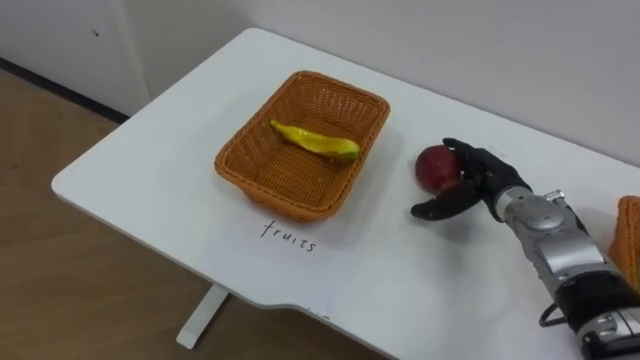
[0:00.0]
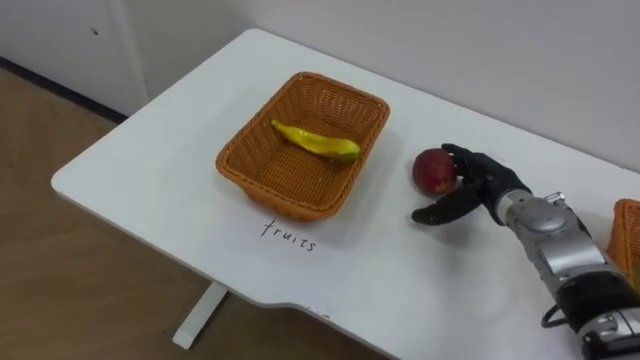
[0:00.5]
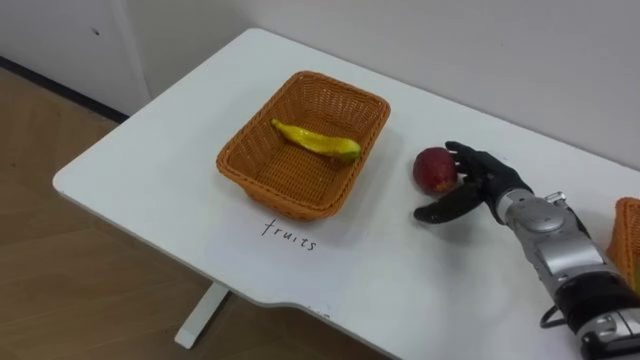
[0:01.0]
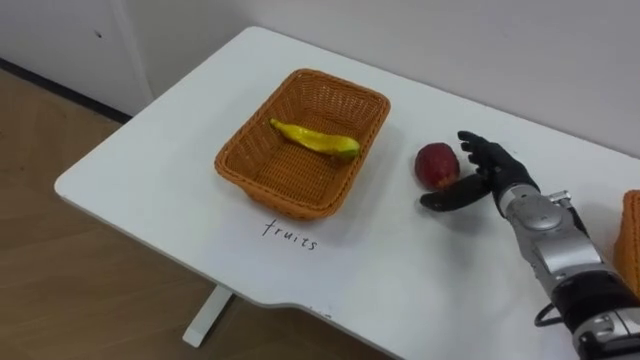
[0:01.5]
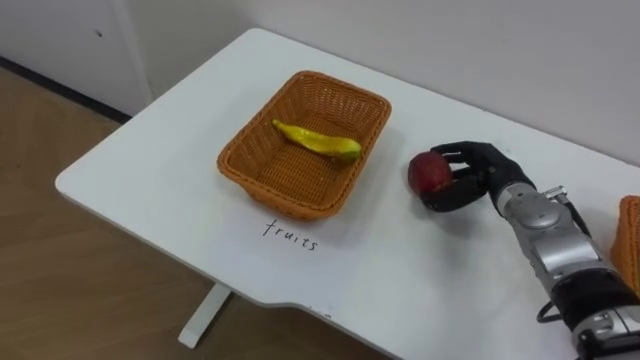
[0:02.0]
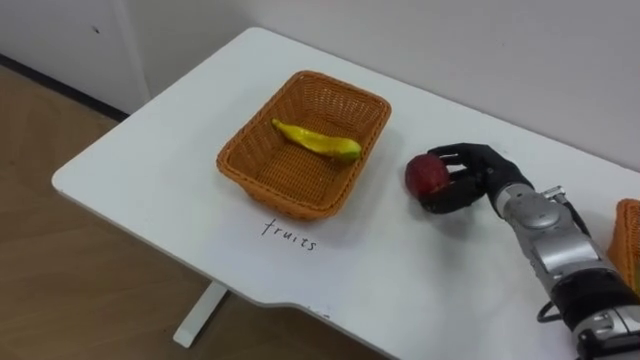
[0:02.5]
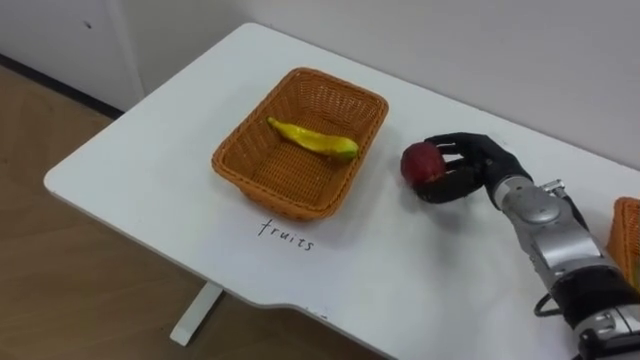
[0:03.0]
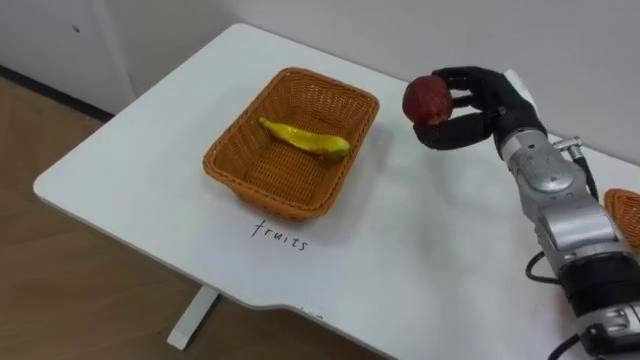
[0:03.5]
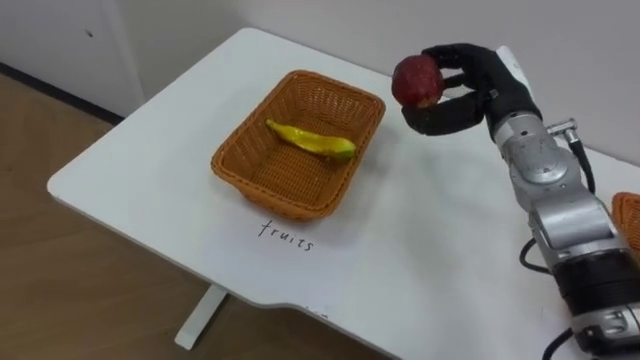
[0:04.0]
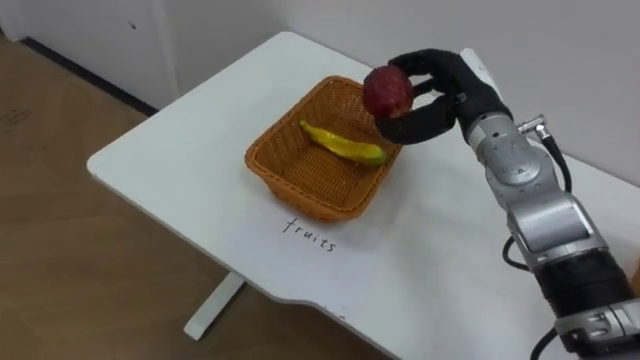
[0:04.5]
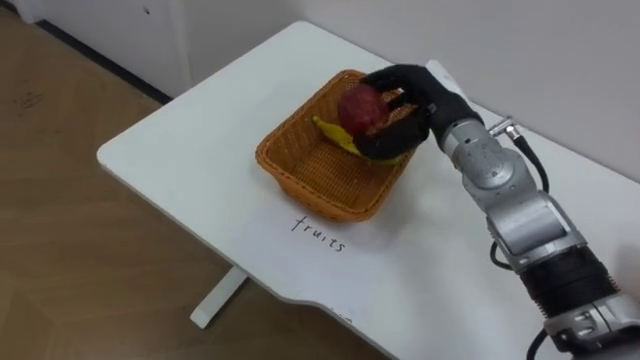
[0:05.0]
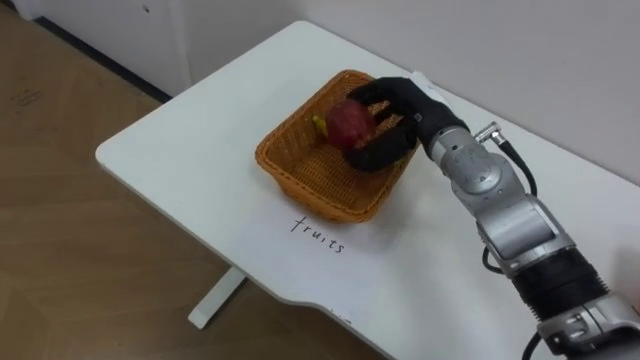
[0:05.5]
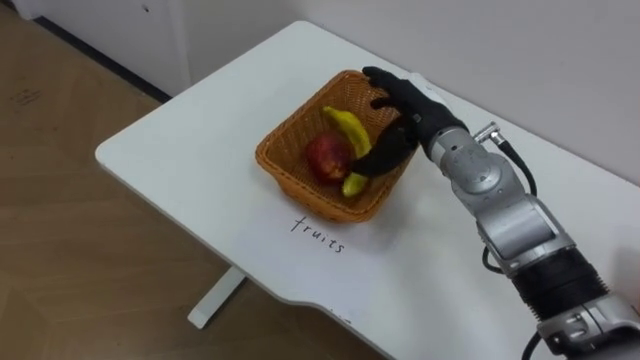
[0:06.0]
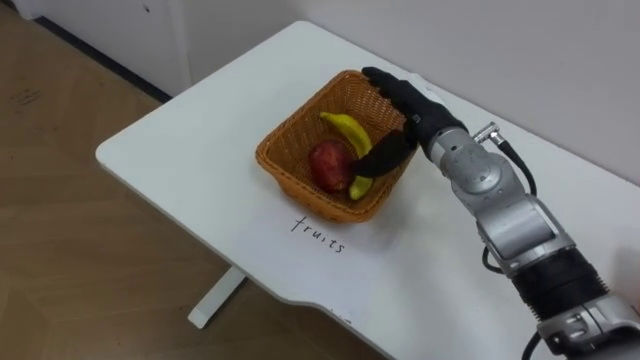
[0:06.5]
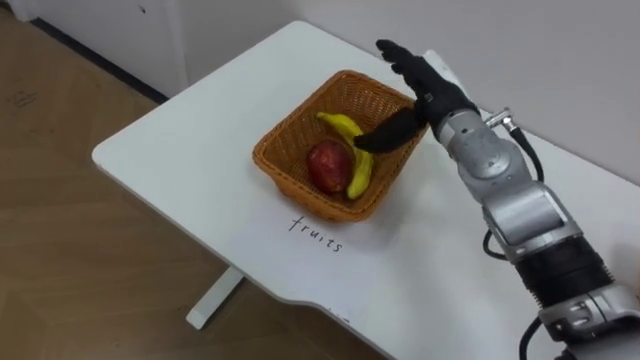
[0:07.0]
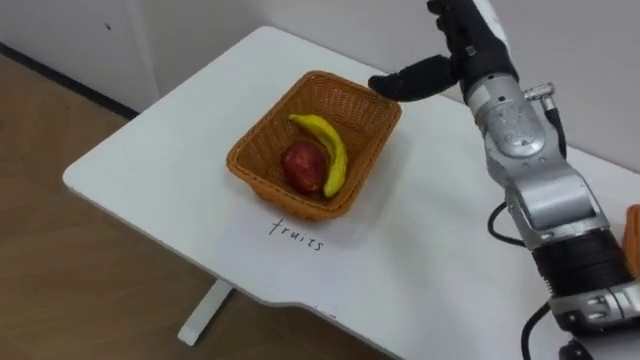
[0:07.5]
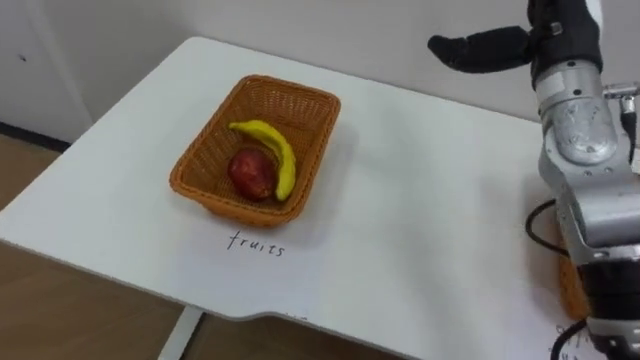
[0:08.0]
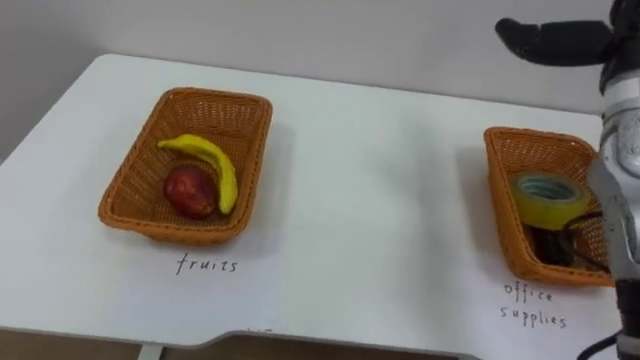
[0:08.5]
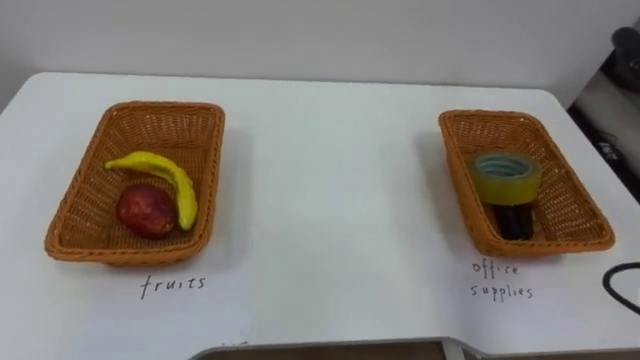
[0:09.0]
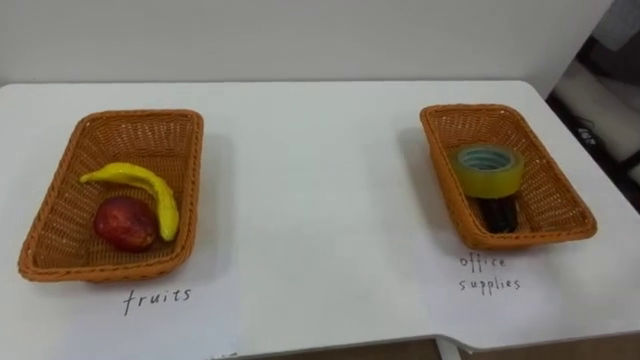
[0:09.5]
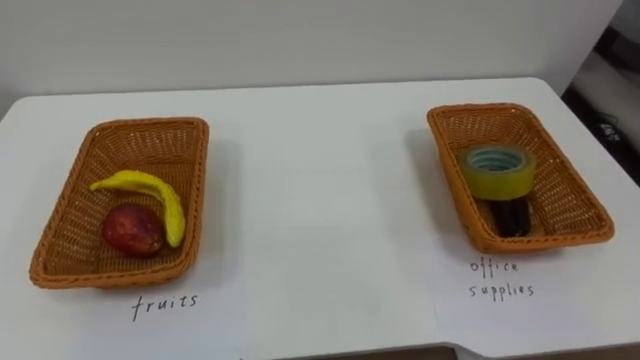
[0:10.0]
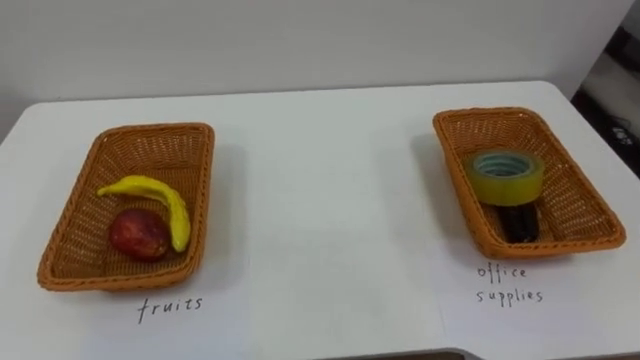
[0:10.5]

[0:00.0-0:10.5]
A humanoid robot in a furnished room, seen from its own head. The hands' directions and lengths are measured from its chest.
Task of the whole recording: Separate the items on the table and place them into the two baskets.
0:00.0 to 0:02.0: The right hand closes.
0:02.0 to 0:04.0: The right hand shifts approximately 10 cm upward.
0:04.0 to 0:06.5: The right hand goes approximately 10 cm to the left, and opens up.
0:06.5 to 0:08.5: The right hand travels to the right and upward by roughly 20 cm.

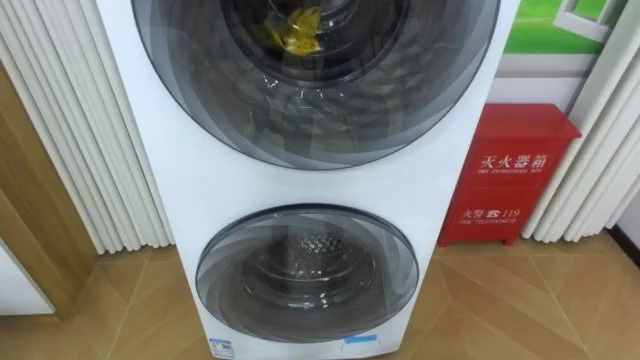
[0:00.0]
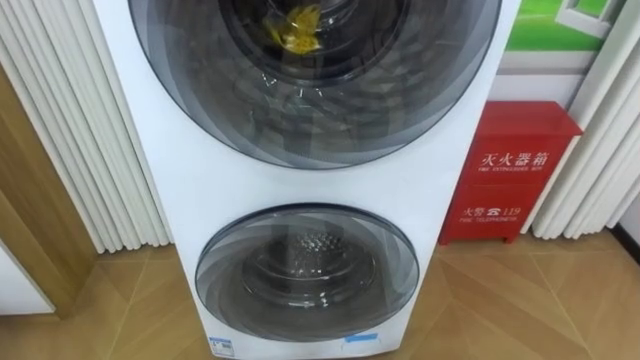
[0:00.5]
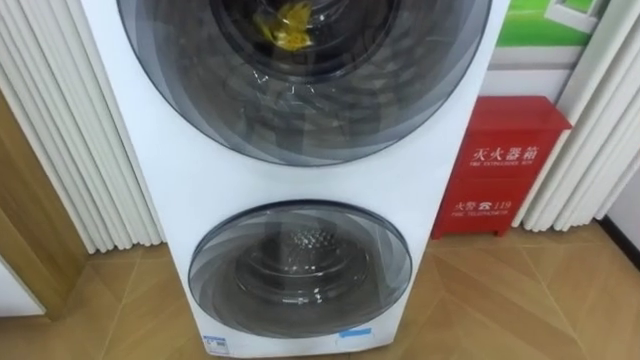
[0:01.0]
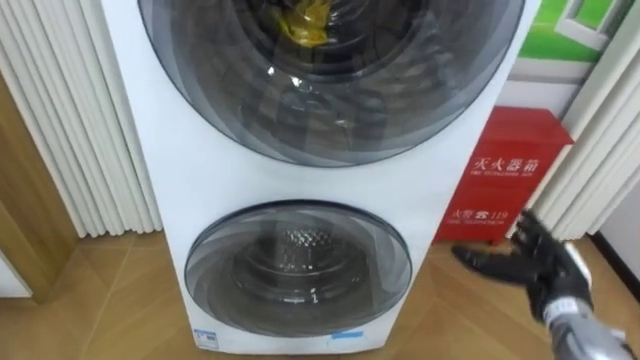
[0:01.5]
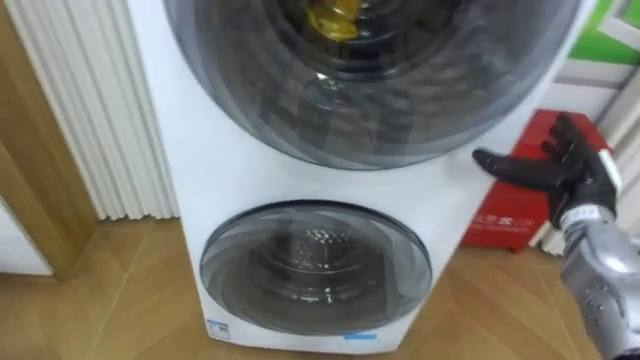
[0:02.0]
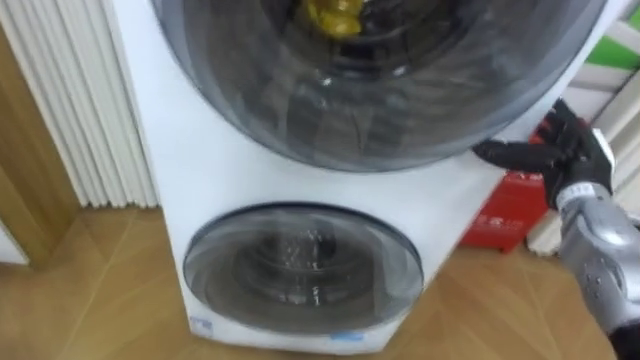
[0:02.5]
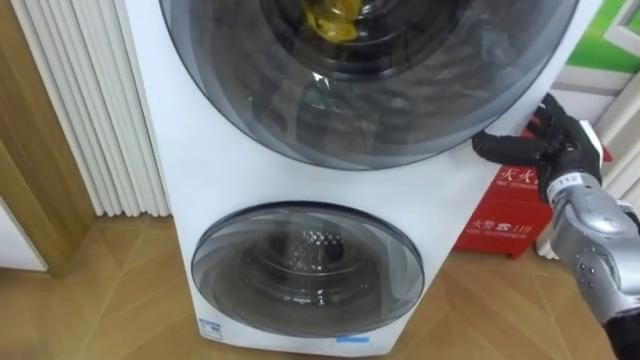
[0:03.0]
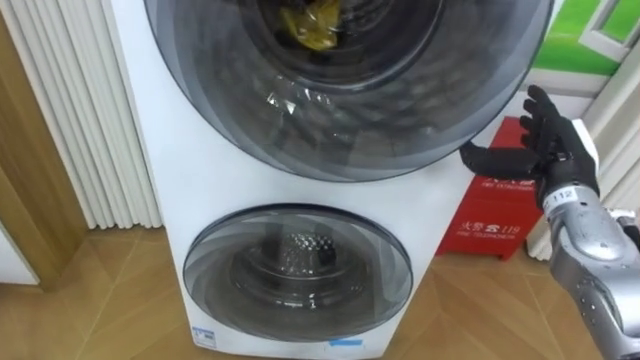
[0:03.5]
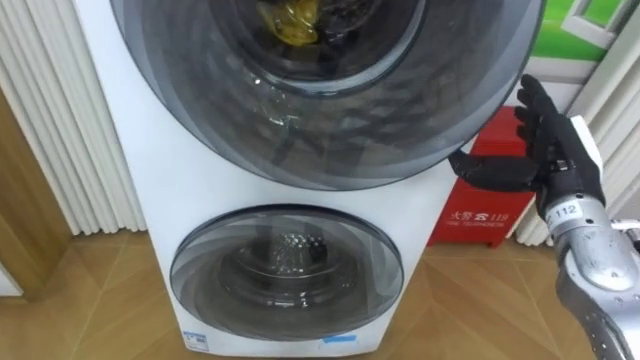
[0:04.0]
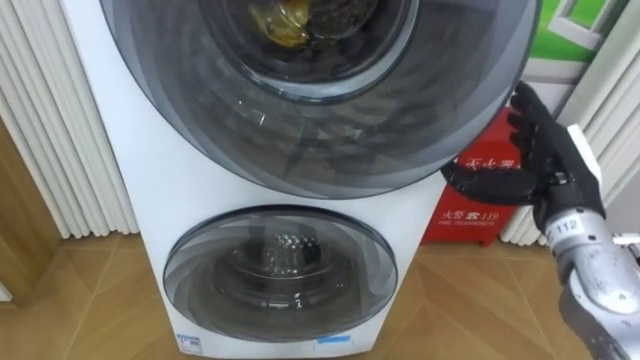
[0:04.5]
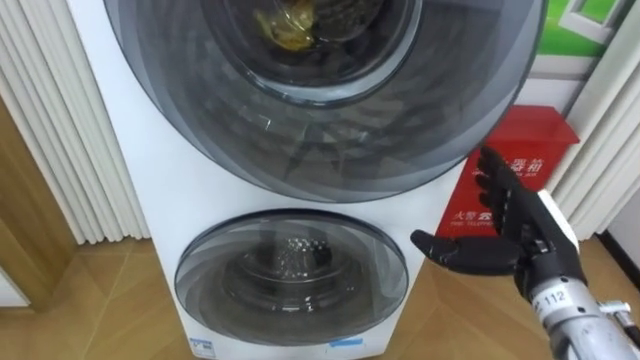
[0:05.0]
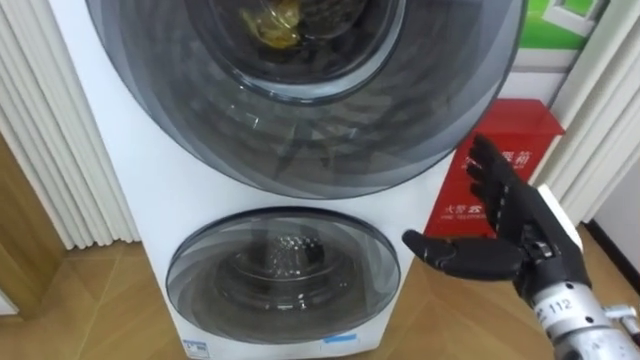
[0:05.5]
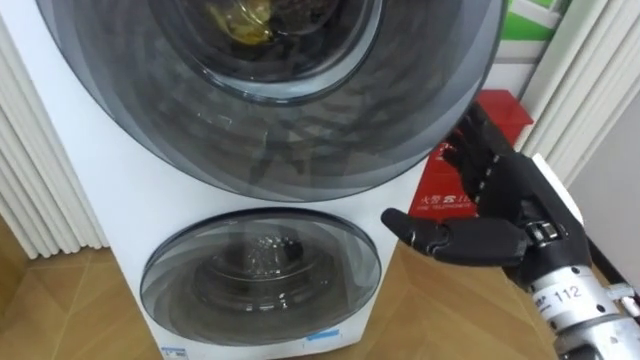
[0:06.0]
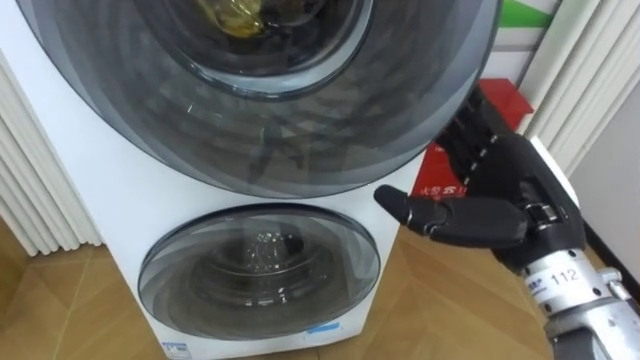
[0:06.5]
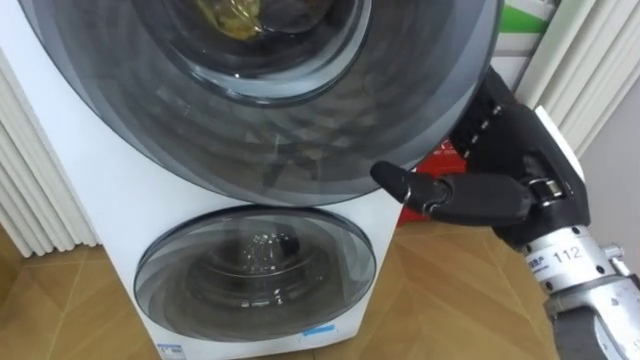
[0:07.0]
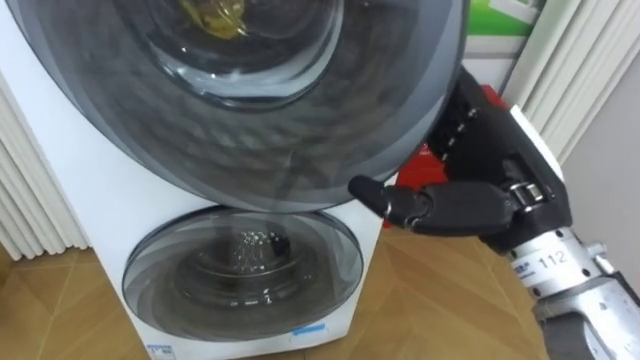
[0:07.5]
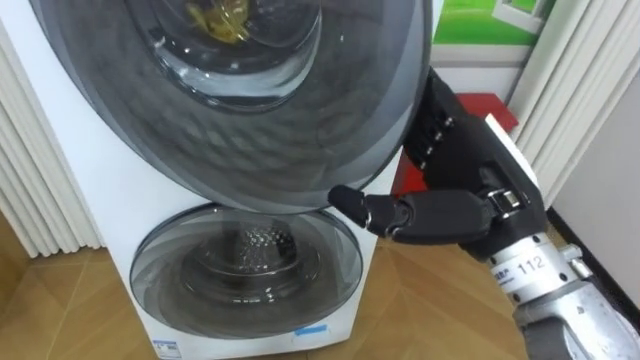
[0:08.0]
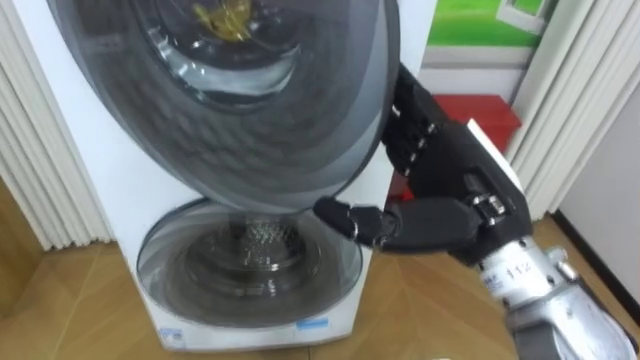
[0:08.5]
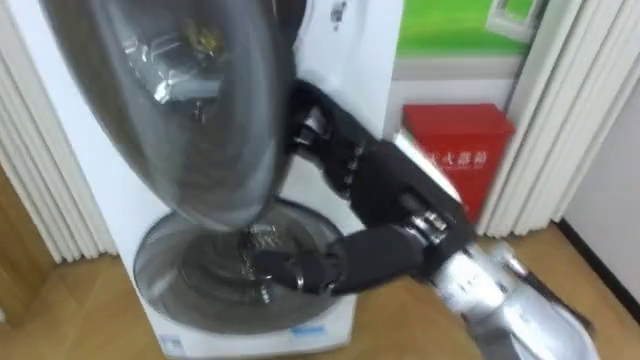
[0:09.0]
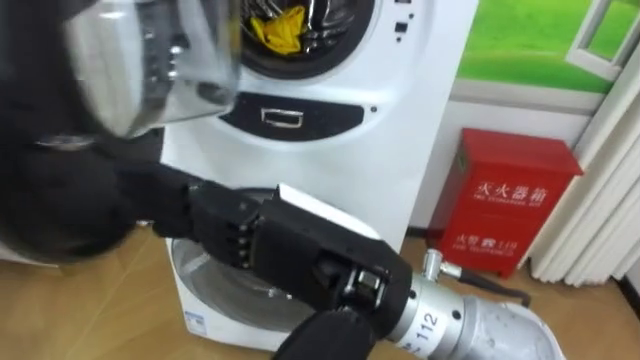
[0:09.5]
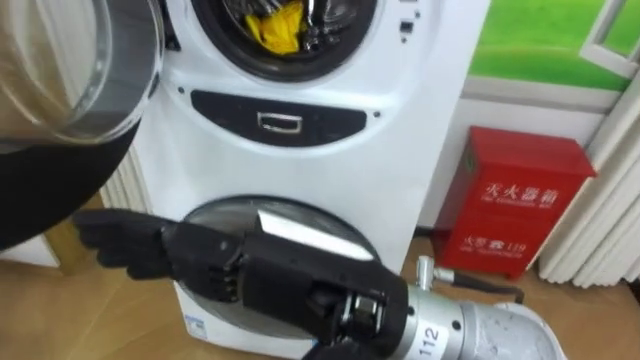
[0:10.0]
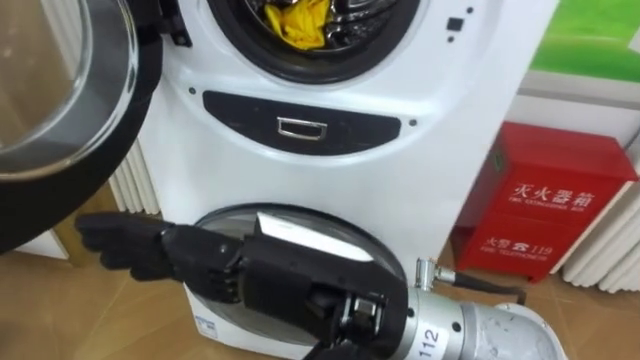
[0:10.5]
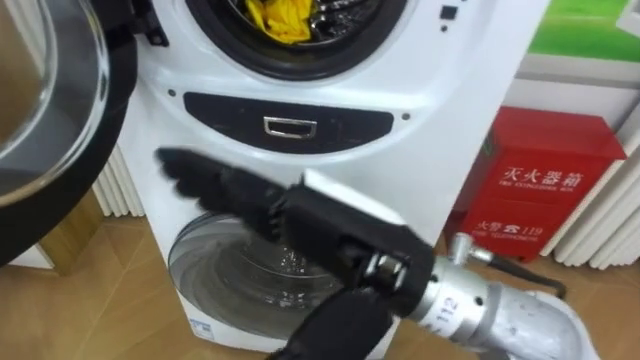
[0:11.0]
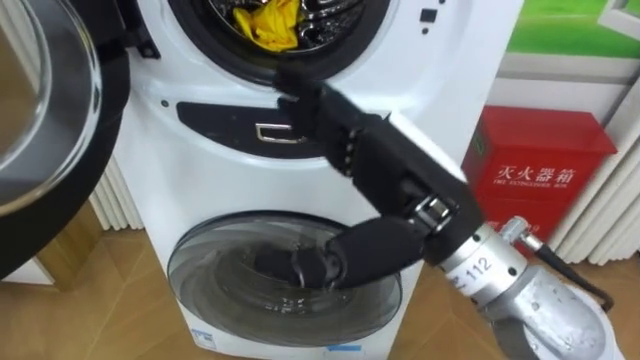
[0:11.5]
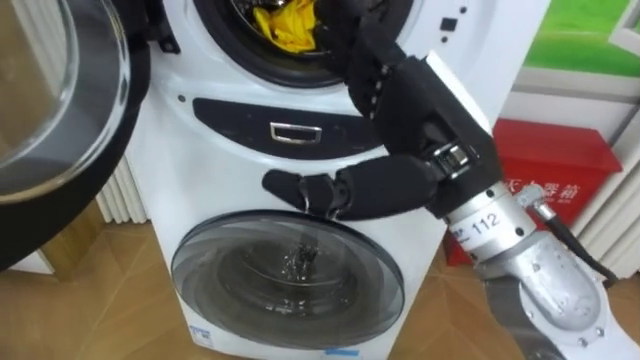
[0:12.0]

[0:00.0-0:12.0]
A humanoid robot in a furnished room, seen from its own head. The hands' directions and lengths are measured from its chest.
Task of the whole recording: Open the washing machine door, take out the yellow clothes, place them in the box on the right, and close the washing machine door.
0:02.0 to 0:04.0: The right hand is displaced upward by roughly 5 cm.
0:04.0 to 0:06.0: The right hand is displaced backward and to the left by about 10 cm.
0:06.0 to 0:08.0: The right hand is displaced to the left by roughly 5 cm.
0:08.0 to 0:10.0: The right hand moves to the left and backward, roughly 15 cm.
0:10.0 to 0:12.0: The right hand shifts some 15 cm forward and to the right.
